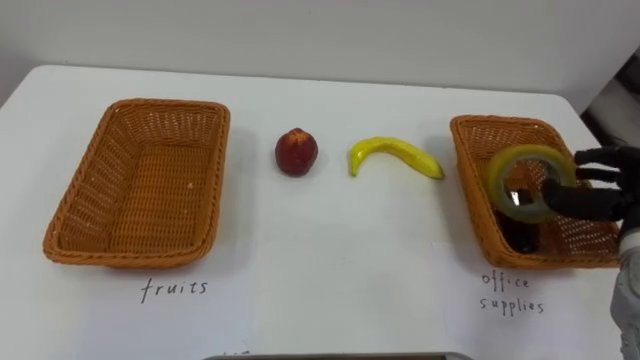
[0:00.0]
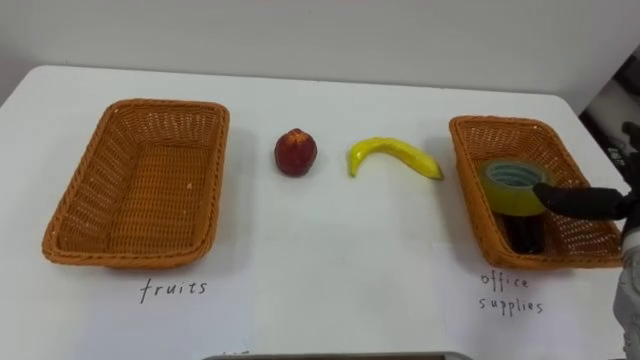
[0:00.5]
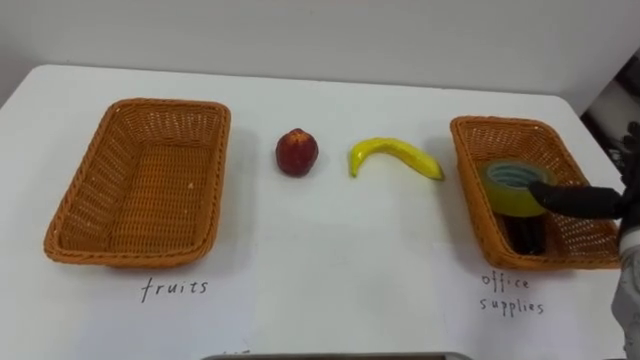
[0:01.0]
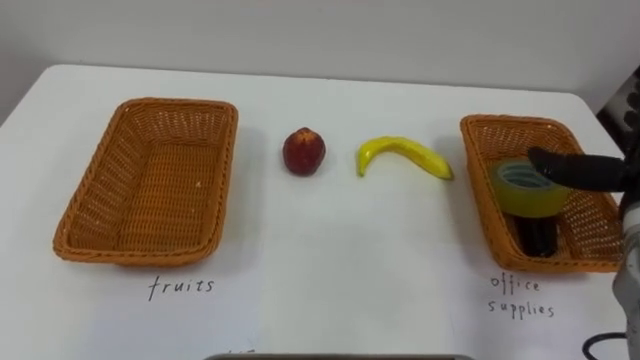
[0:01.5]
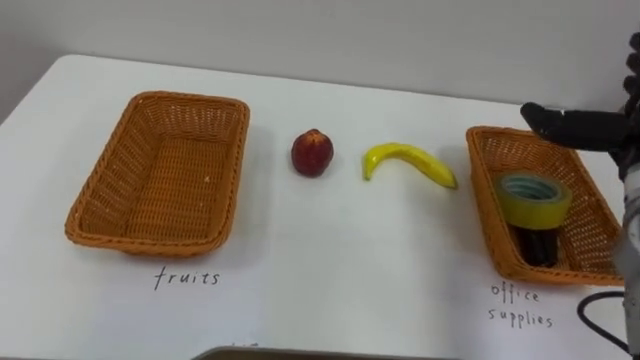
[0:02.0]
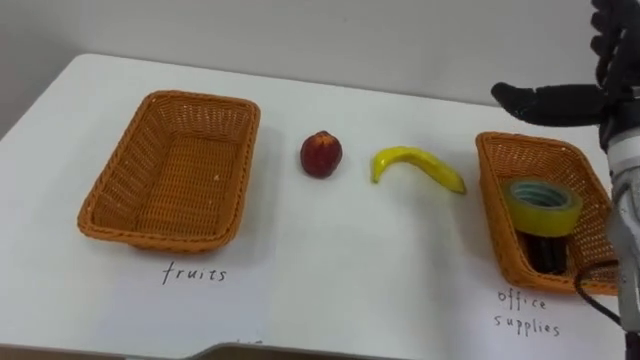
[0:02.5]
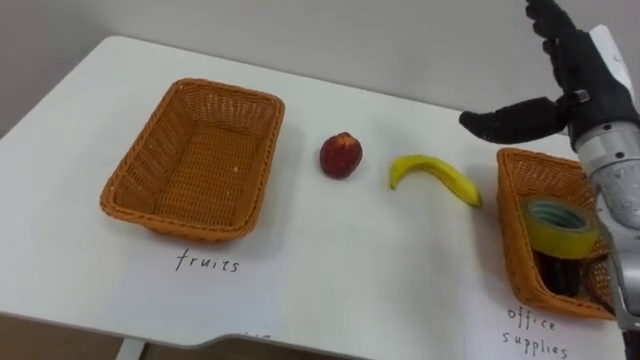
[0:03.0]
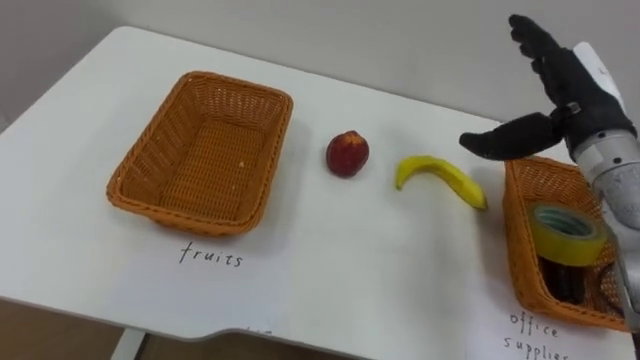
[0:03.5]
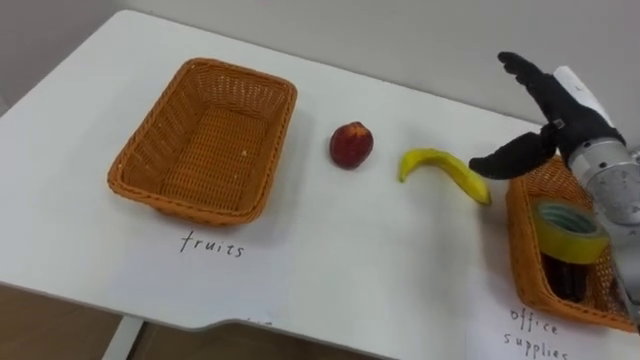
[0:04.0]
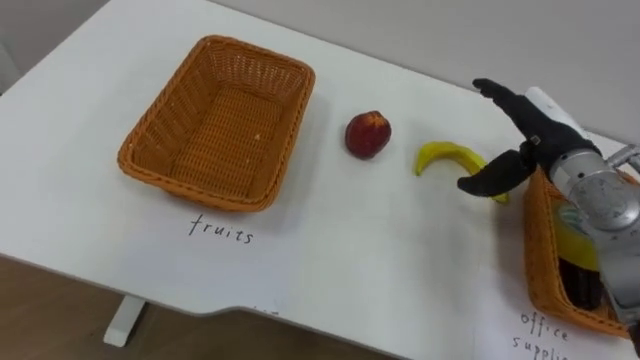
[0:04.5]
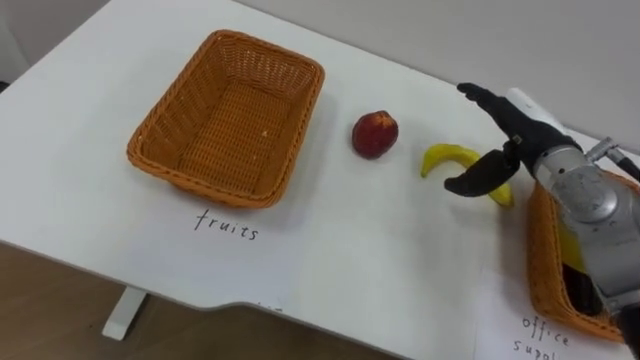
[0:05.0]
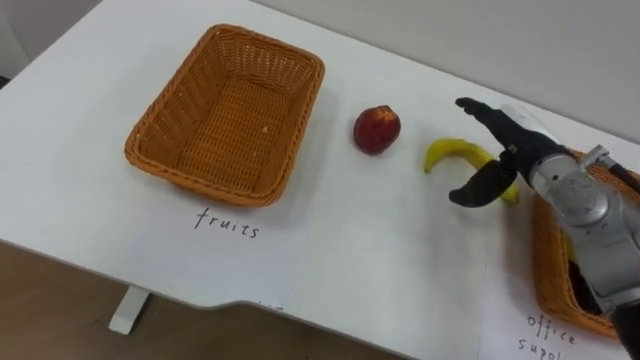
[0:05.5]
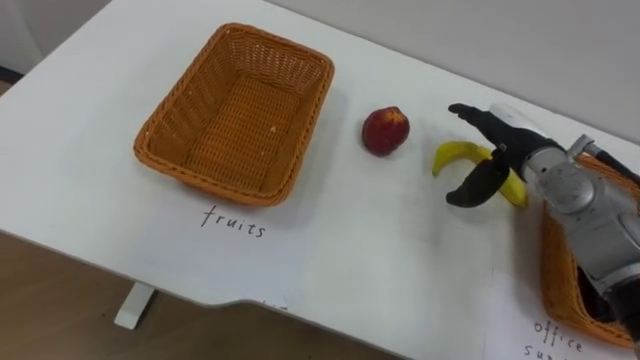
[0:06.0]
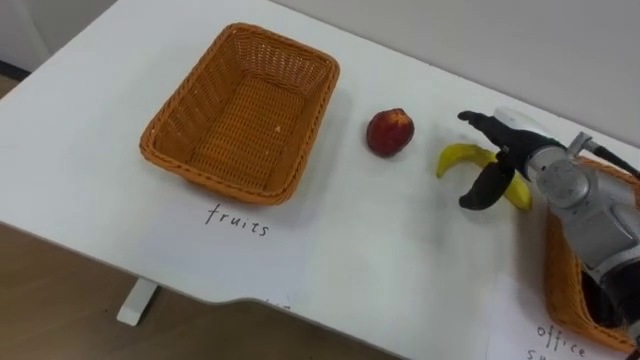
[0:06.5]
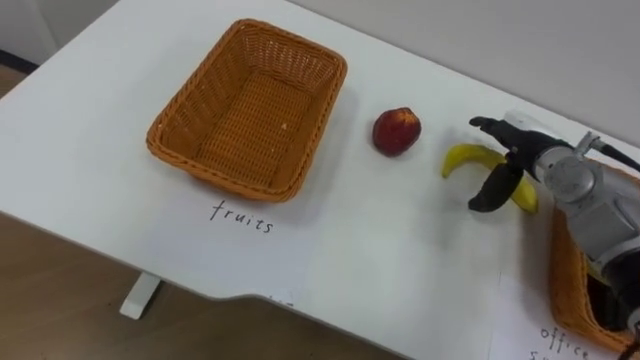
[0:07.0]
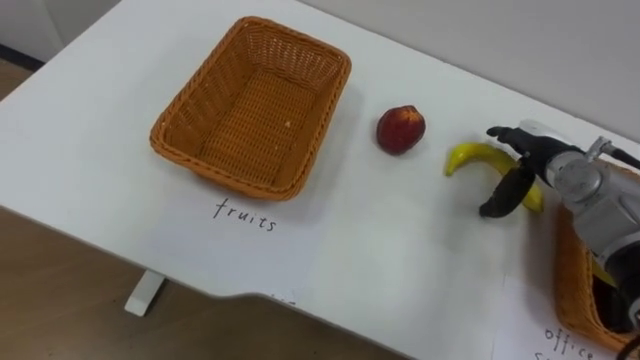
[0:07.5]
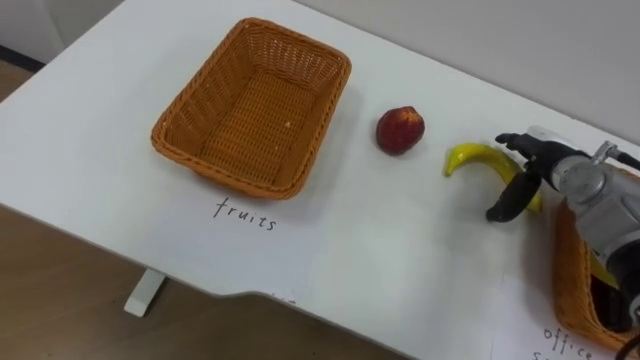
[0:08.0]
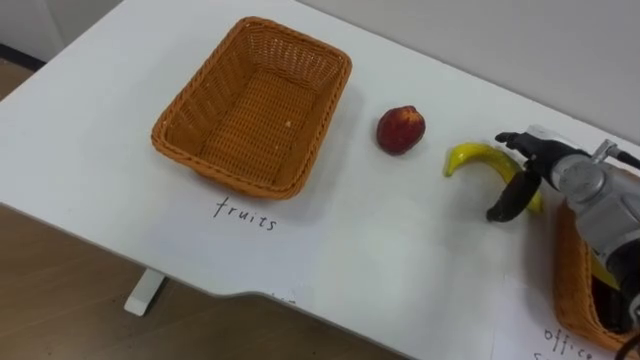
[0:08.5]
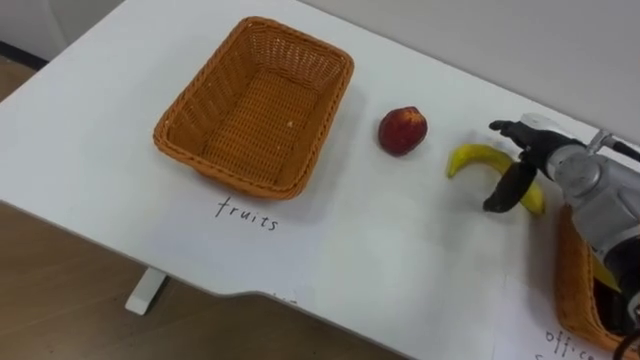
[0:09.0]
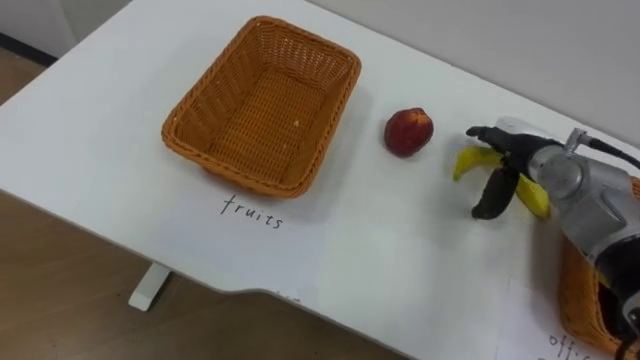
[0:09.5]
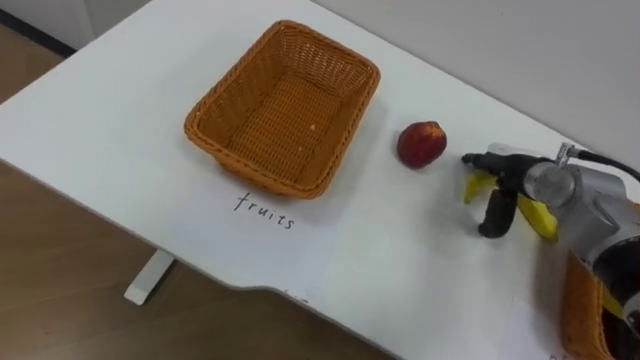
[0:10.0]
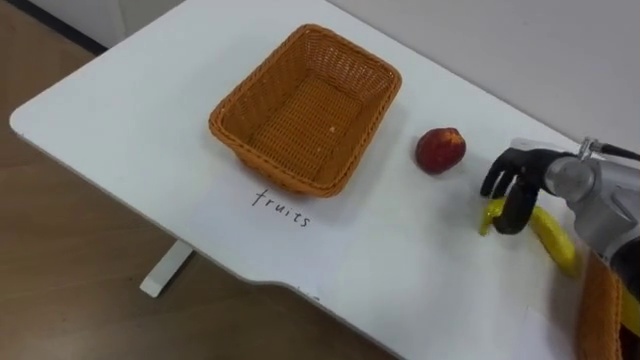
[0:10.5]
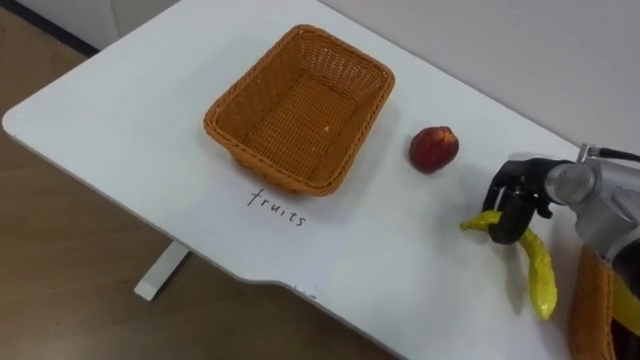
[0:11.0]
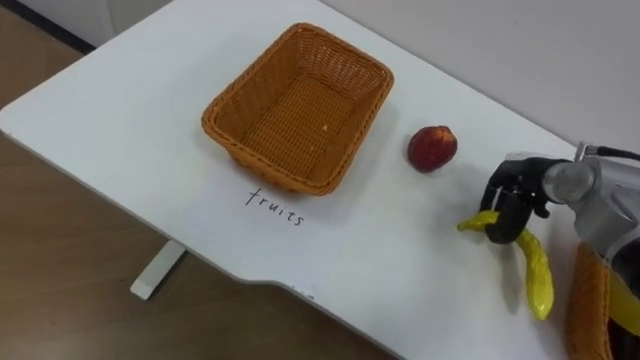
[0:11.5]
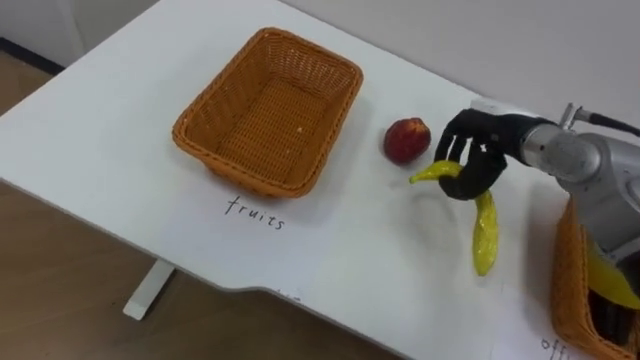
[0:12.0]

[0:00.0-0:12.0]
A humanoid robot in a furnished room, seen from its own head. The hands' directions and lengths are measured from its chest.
Task of the whole recording: Separate the items on the table and place them into the two baskets.
0:04.0 to 0:06.0: The right hand travels downward by about 5 cm.
0:06.0 to 0:08.0: The right hand goes roughly 5 cm to the right.
0:10.0 to 0:12.0: The right hand shifts approximately 5 cm upward, and closes.

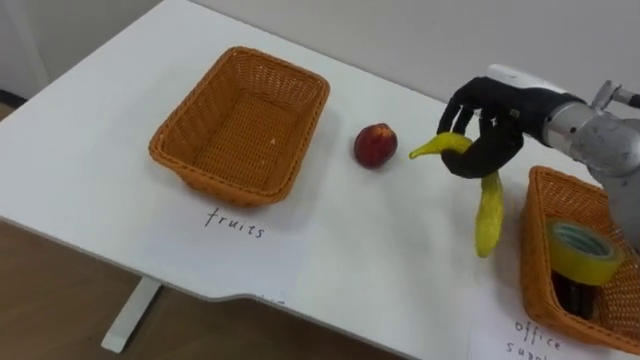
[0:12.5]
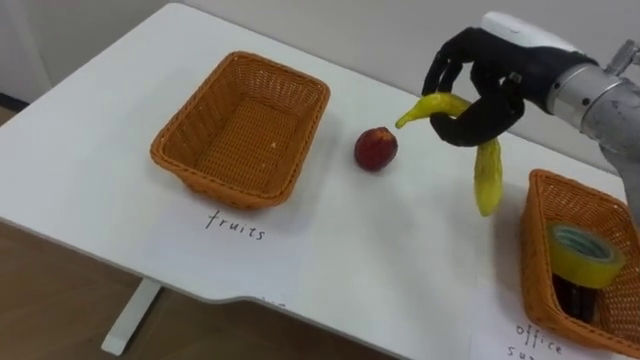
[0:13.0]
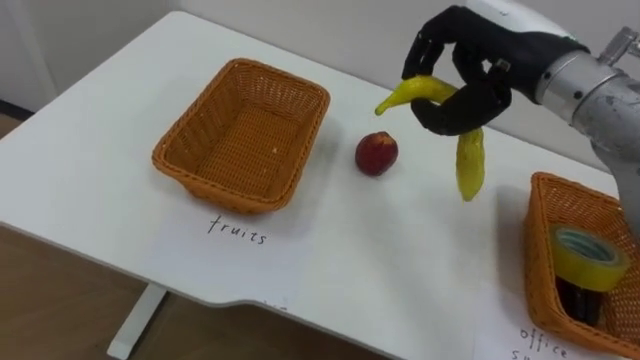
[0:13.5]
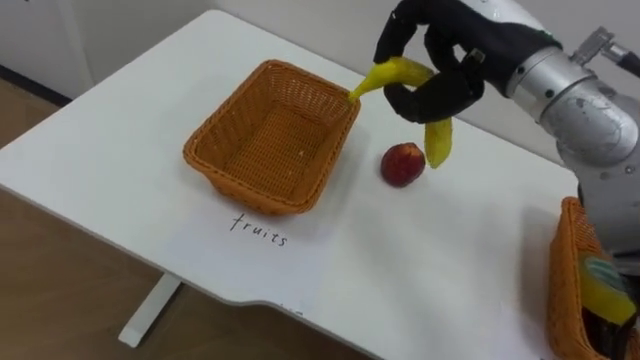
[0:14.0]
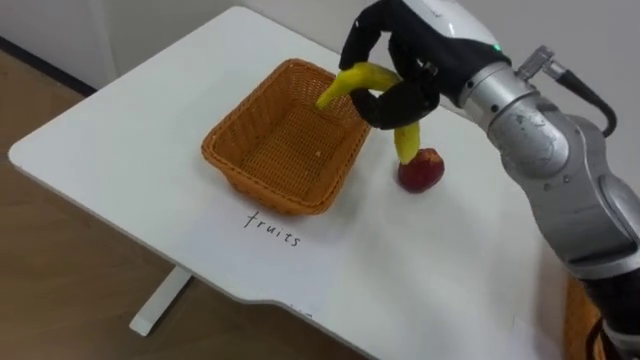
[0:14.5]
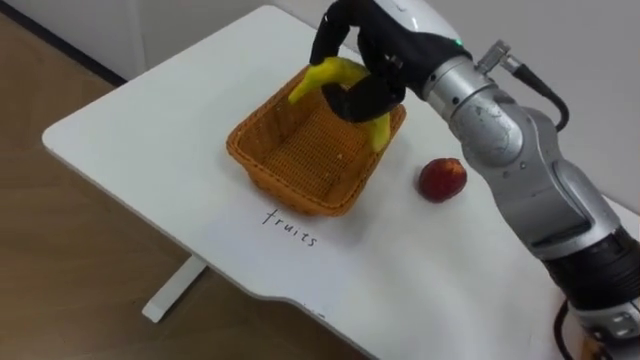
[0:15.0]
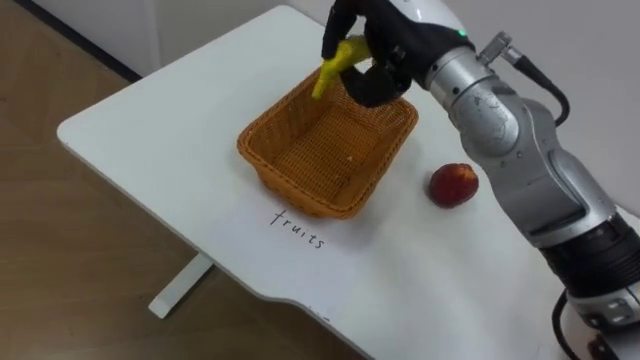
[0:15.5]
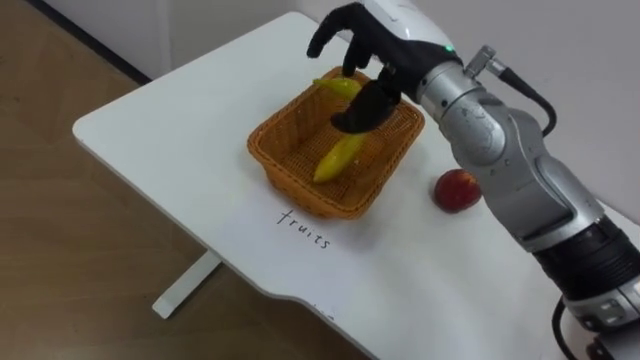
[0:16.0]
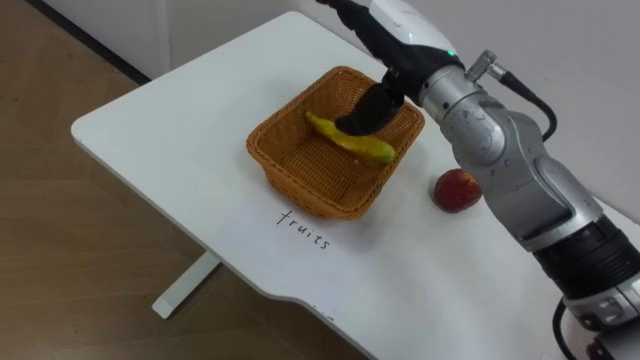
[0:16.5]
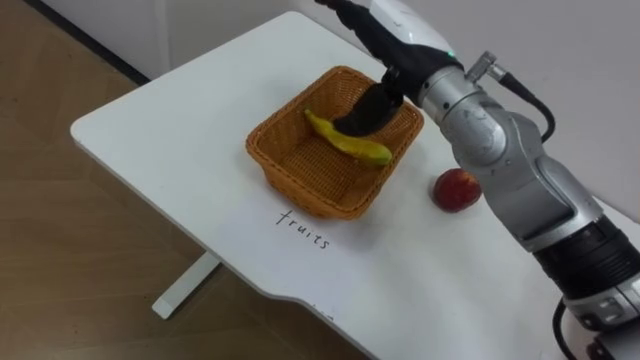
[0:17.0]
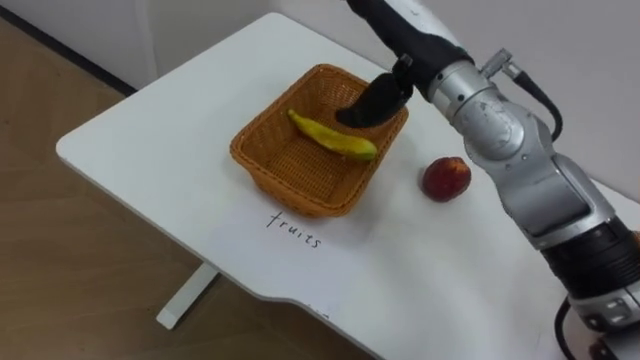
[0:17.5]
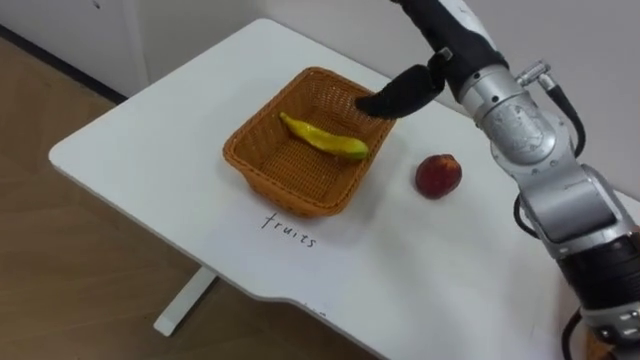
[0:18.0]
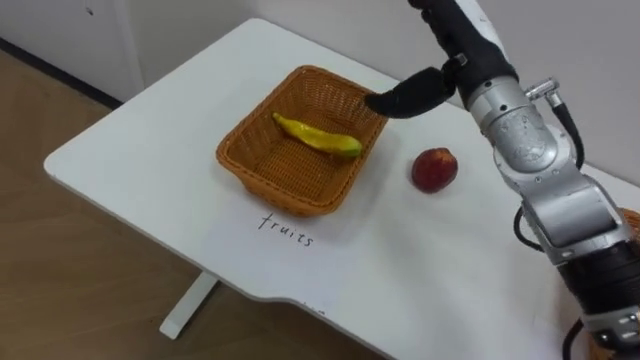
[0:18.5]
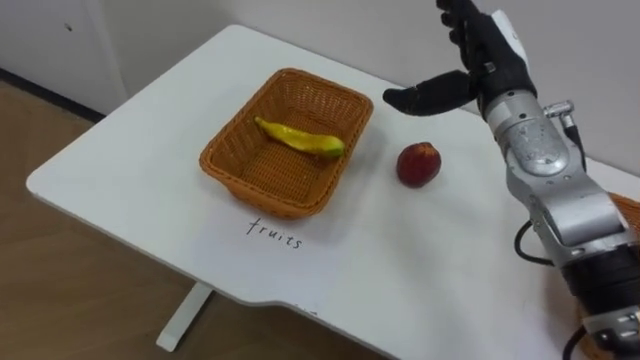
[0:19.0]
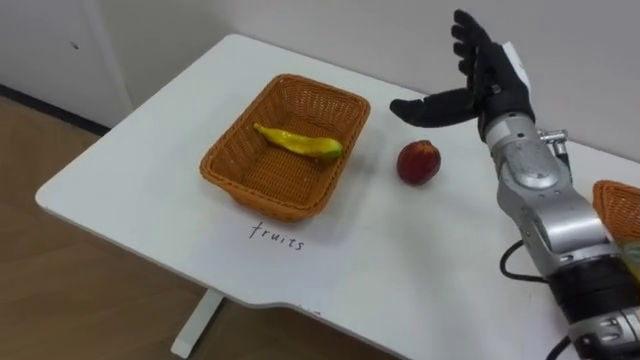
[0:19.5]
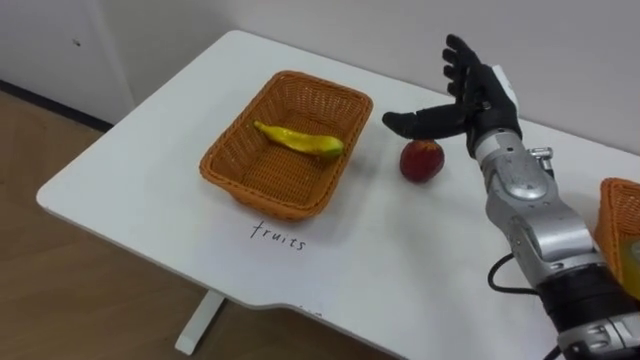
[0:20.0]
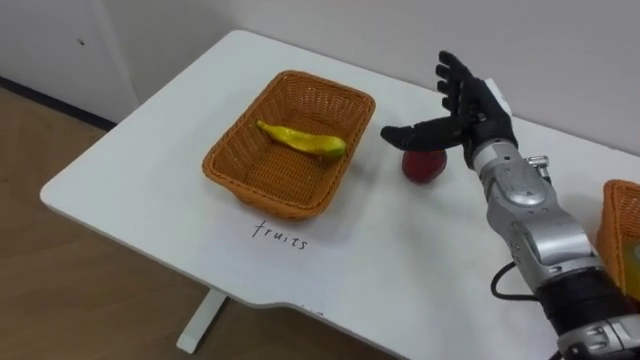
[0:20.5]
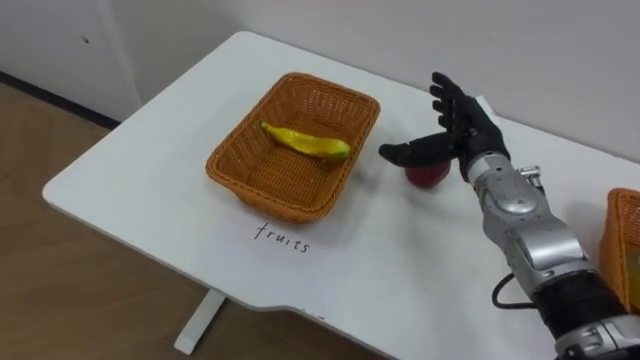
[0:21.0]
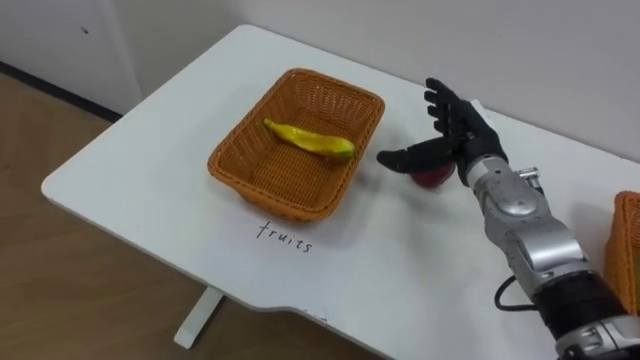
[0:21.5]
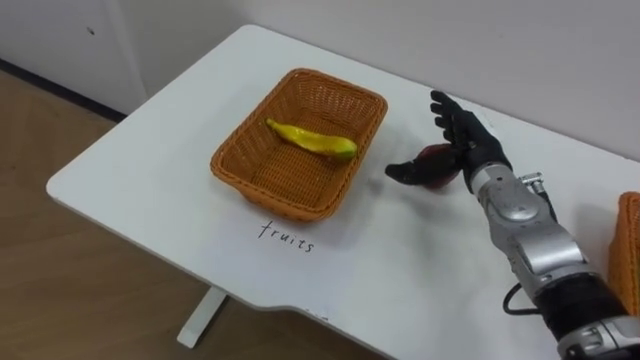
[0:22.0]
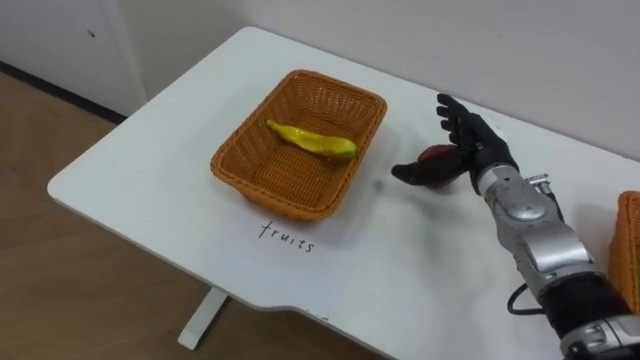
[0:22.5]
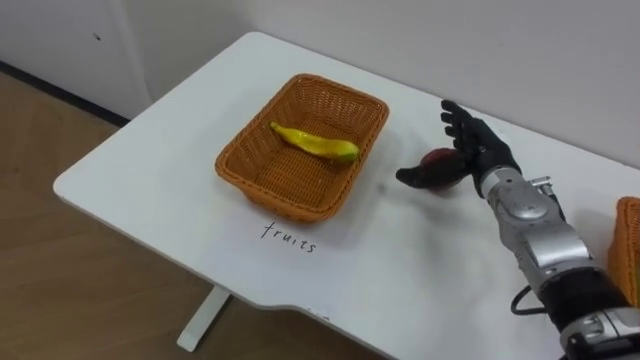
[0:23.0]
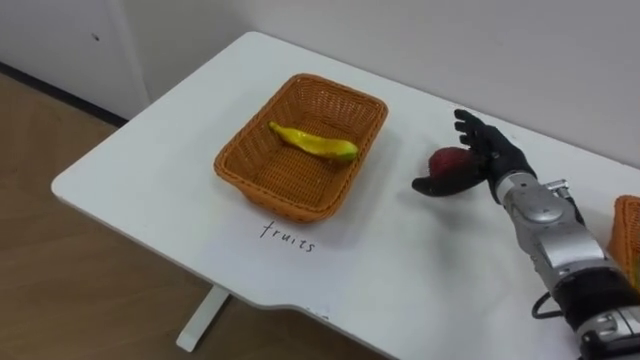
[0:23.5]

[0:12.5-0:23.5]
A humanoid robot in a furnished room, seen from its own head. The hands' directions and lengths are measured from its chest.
Task of the whole recording: Separate the items on the table and place them into the two baskets.
0:12.5 to 0:14.5: The right hand shifts about 15 cm to the left and upward.
0:14.5 to 0:16.0: The right hand opens its fingers.
0:16.0 to 0:18.0: The right hand goes about 5 cm to the right, and opens its fingers.
0:18.0 to 0:20.0: The right hand shifts some 10 cm downward and to the right.
0:21.5 to 0:23.5: The right hand ends up about 5 cm from where it was.
